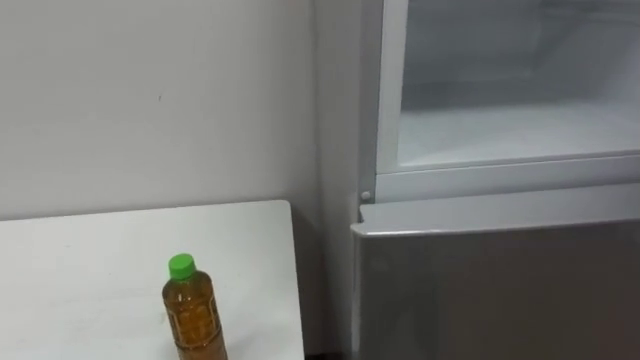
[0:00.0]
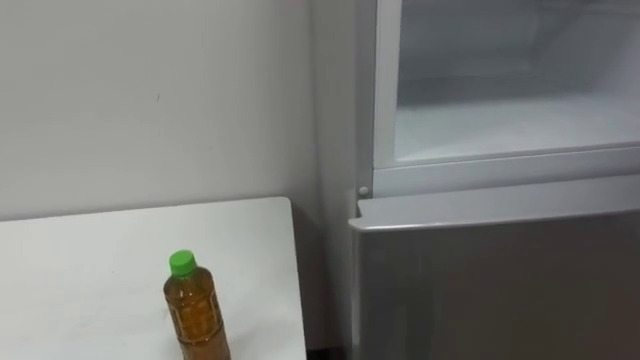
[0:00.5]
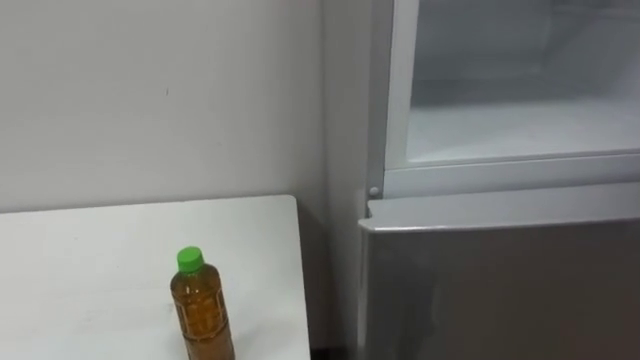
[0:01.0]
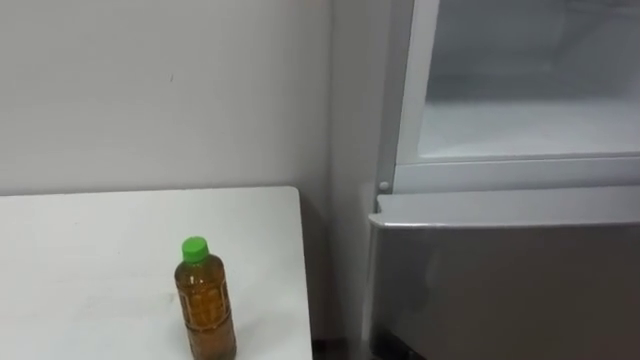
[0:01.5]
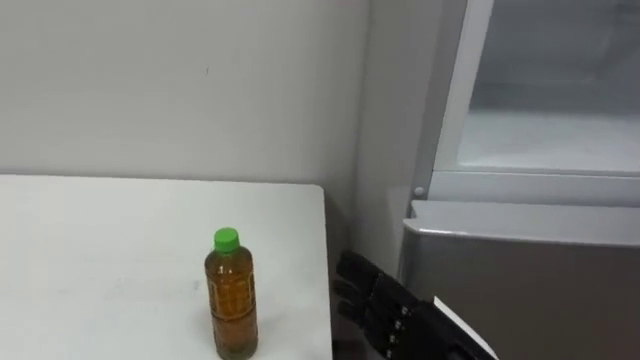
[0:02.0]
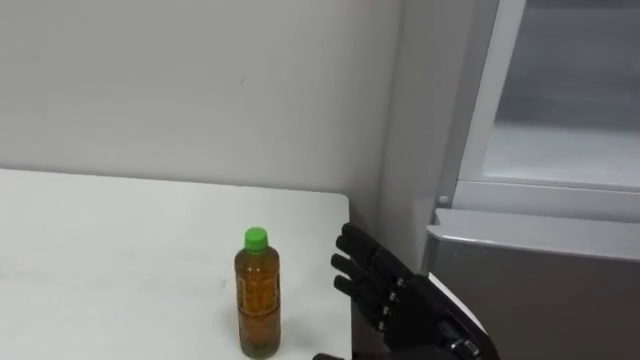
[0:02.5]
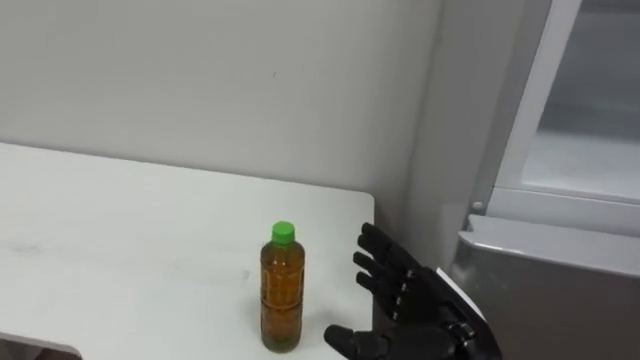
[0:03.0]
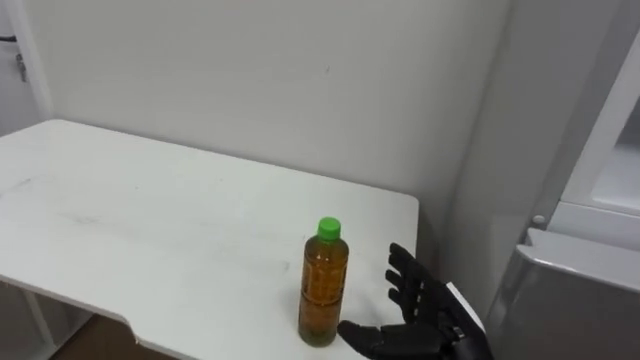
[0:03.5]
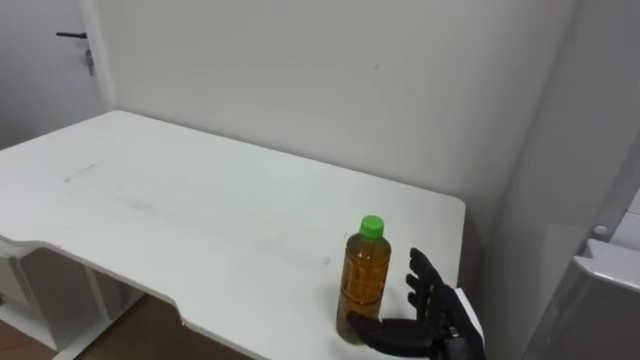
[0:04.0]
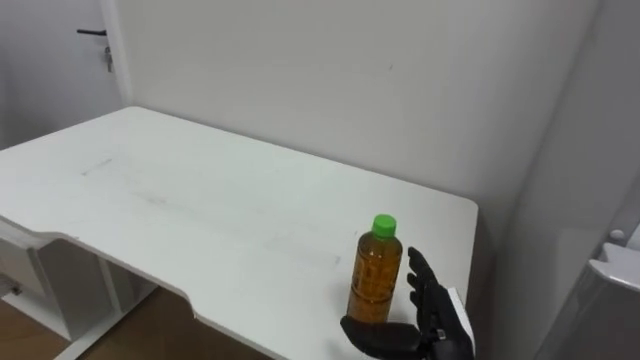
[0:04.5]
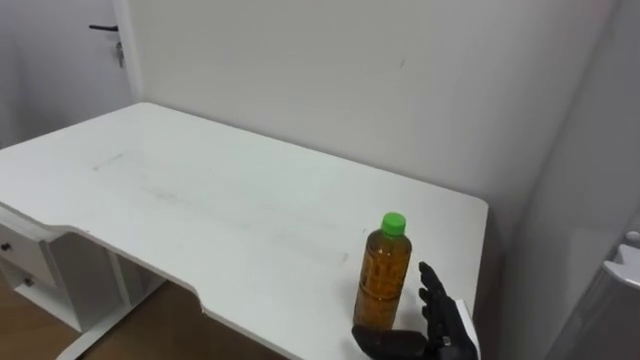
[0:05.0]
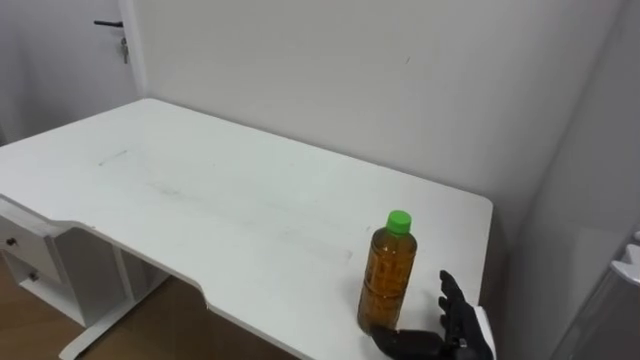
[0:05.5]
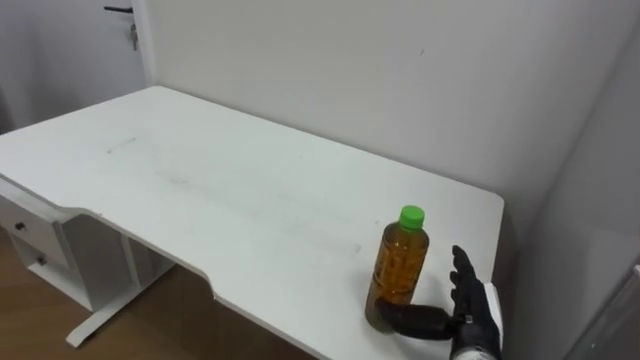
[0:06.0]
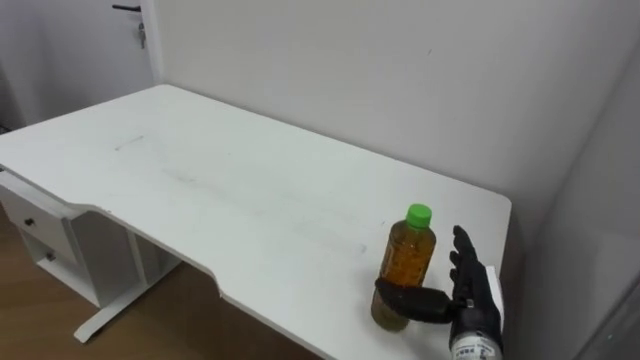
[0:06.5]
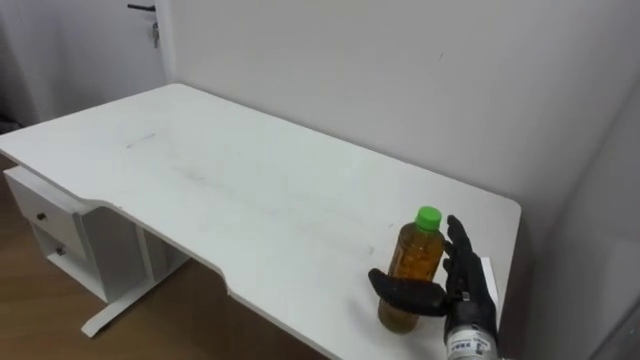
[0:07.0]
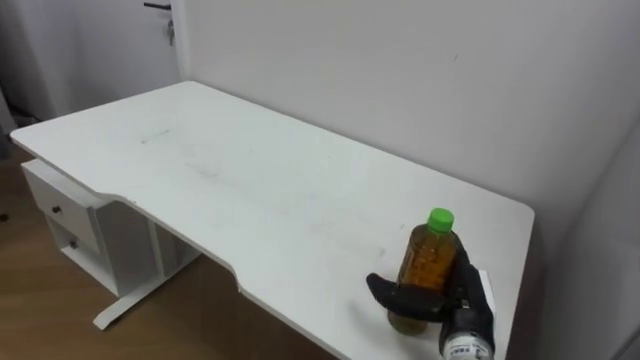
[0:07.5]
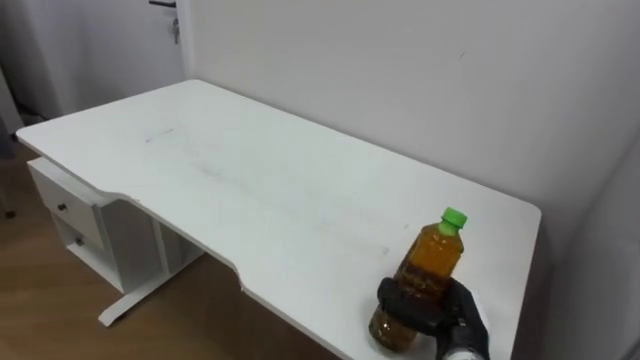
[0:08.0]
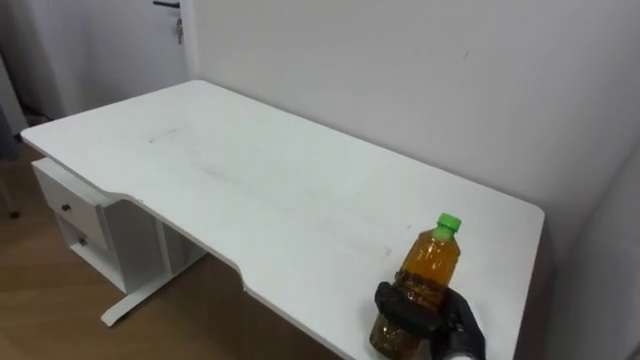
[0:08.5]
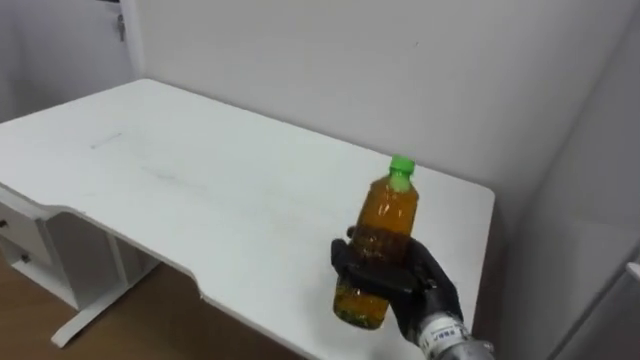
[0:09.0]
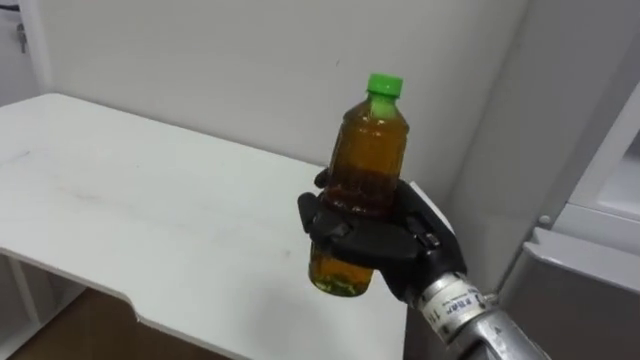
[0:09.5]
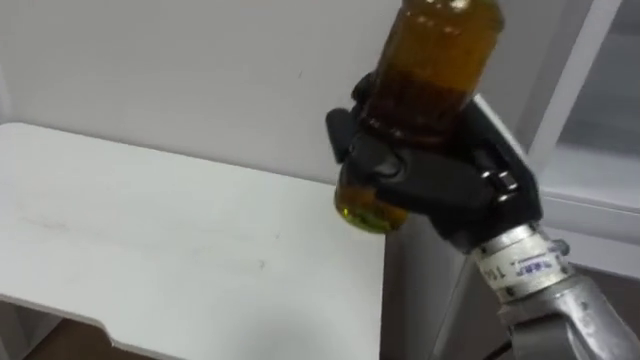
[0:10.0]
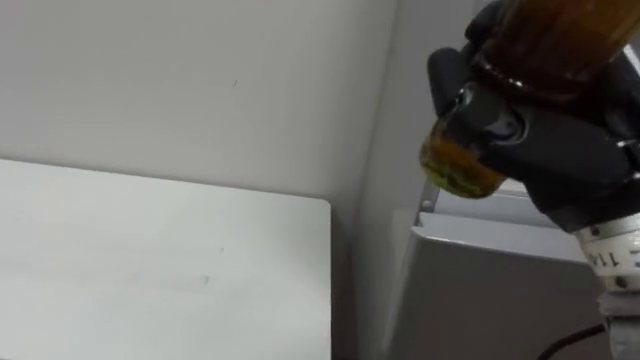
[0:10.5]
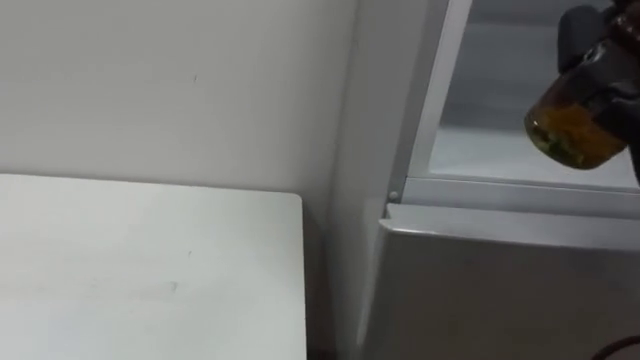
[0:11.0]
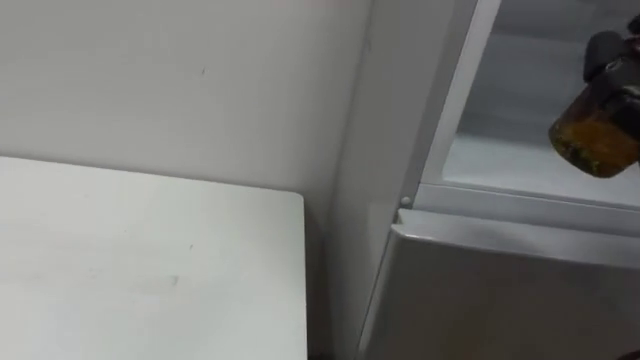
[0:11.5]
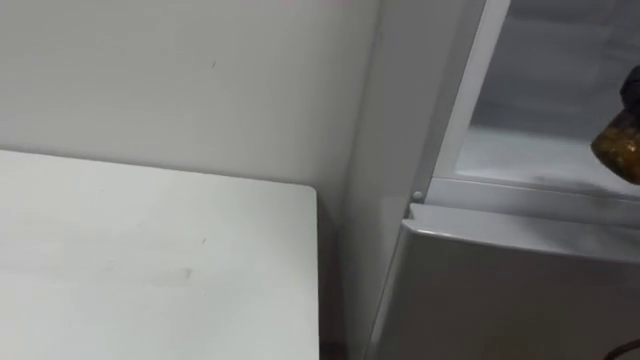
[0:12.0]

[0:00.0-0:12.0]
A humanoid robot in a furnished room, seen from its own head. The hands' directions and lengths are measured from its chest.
Task of the whole recording: Open the upper refrigerator door, put the drink from the table into the refrigerator, and then close the refrigerator door.
0:02.0 to 0:04.0: The right hand moves forward and downward, some 10 cm.
0:06.0 to 0:08.0: The right hand closes.
0:08.0 to 0:10.0: The right hand moves upward, roughly 25 cm.

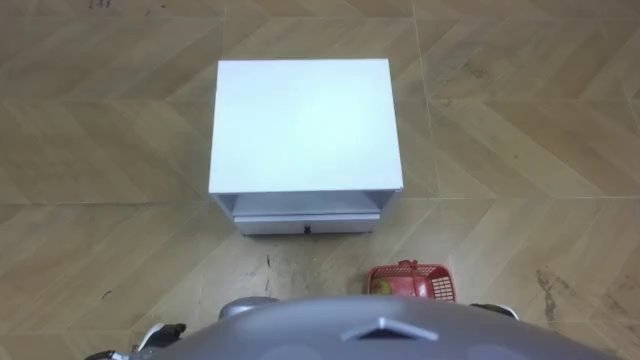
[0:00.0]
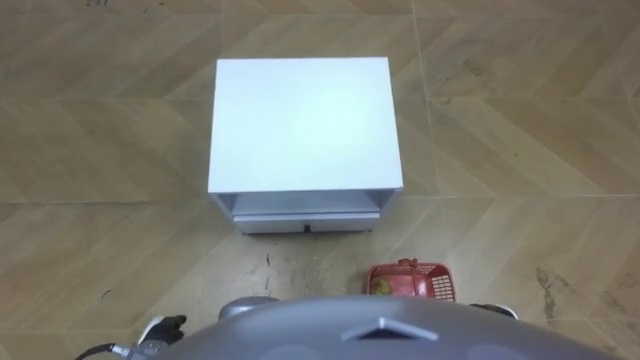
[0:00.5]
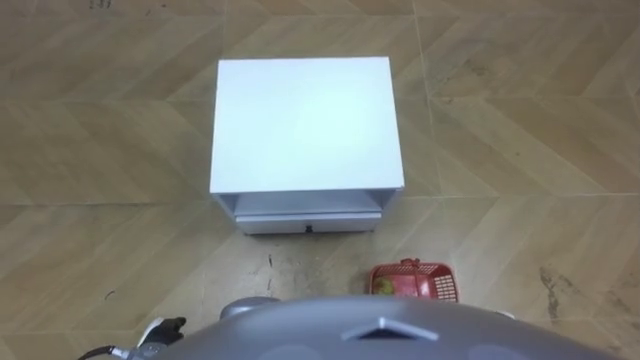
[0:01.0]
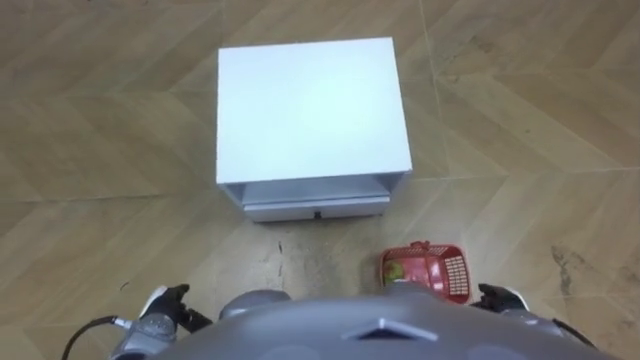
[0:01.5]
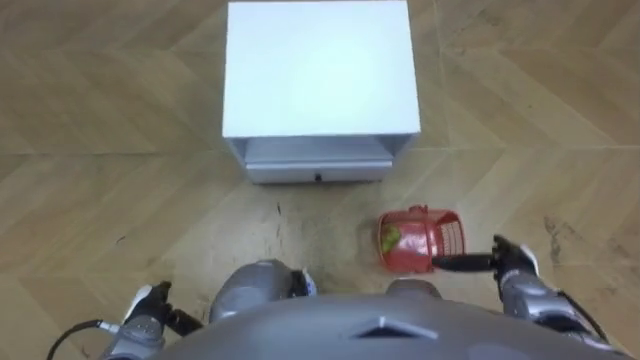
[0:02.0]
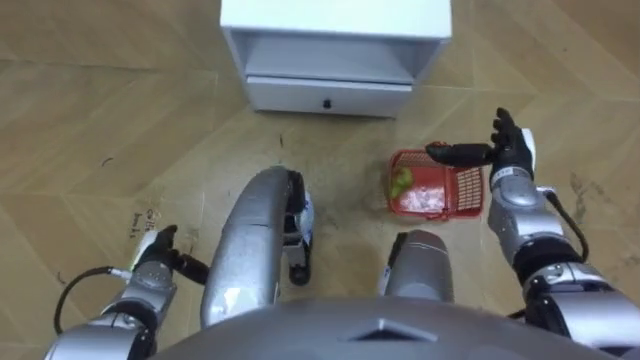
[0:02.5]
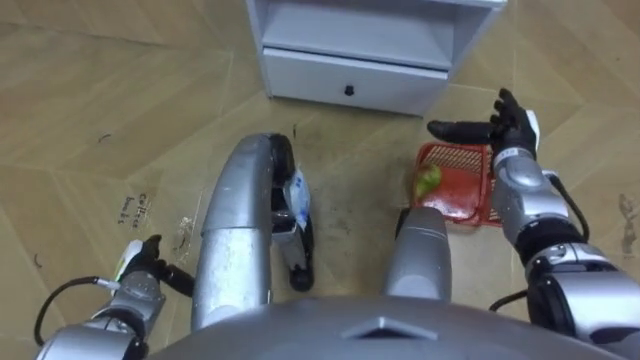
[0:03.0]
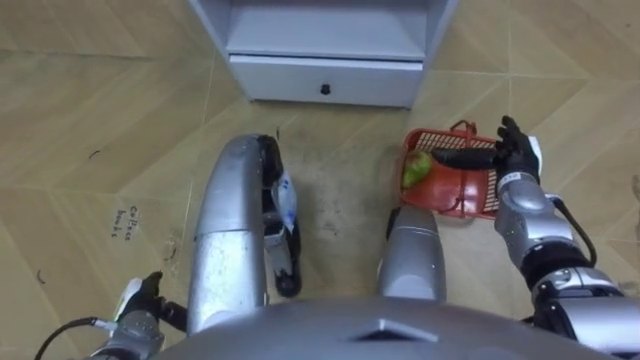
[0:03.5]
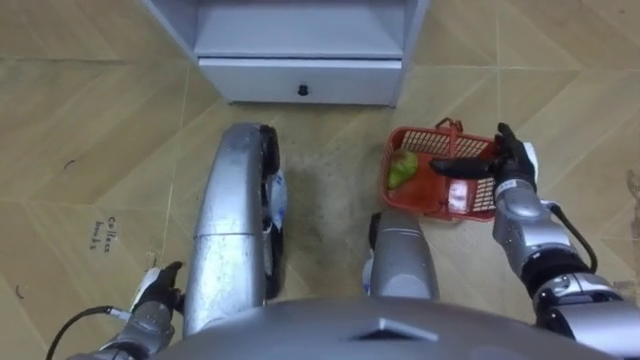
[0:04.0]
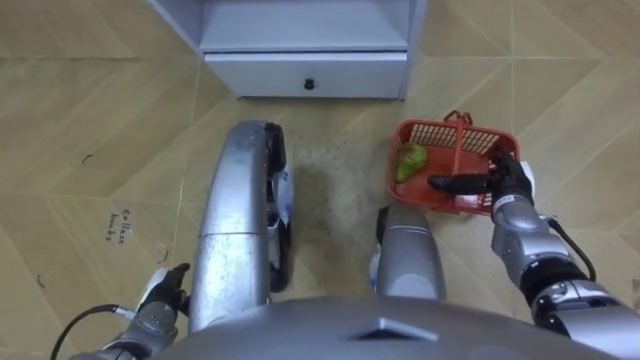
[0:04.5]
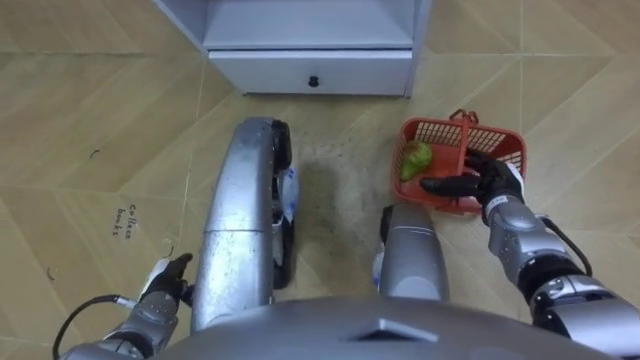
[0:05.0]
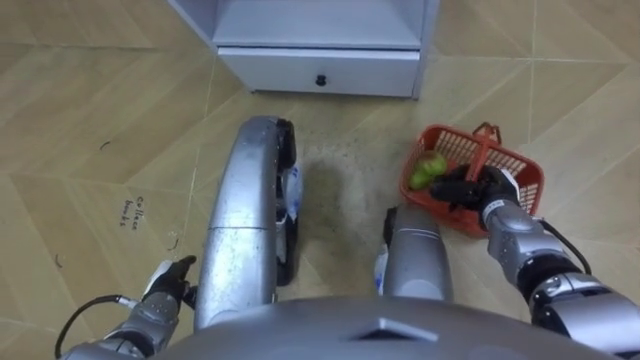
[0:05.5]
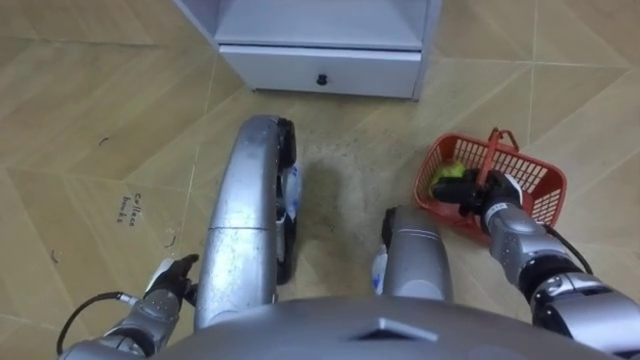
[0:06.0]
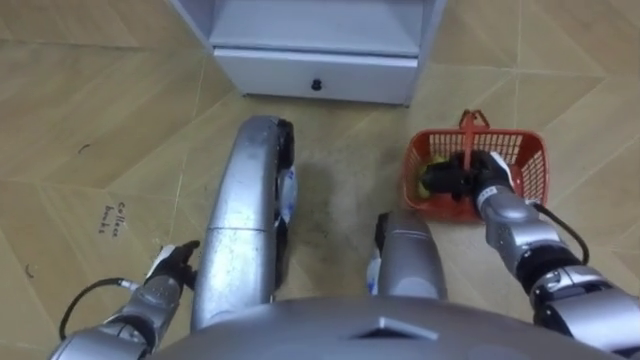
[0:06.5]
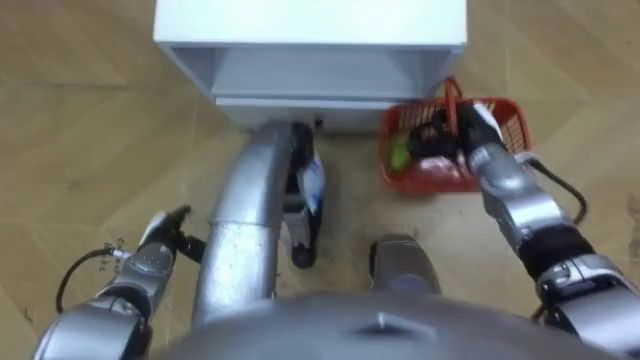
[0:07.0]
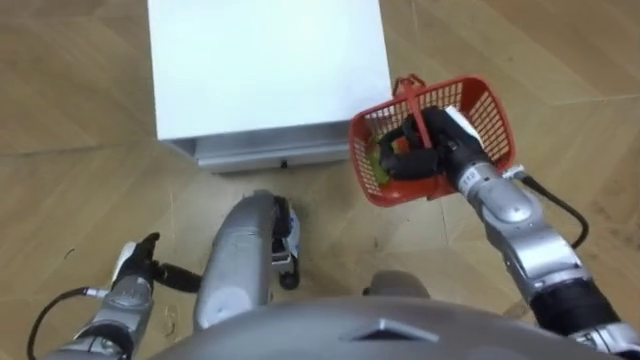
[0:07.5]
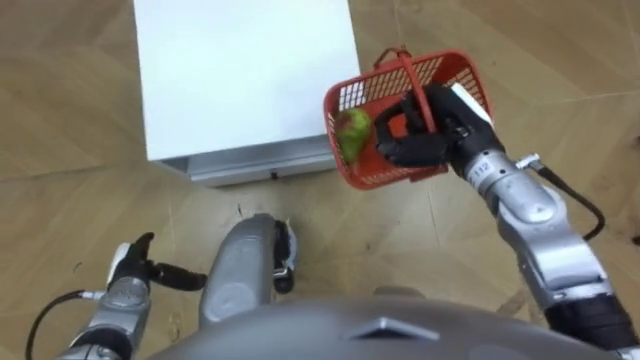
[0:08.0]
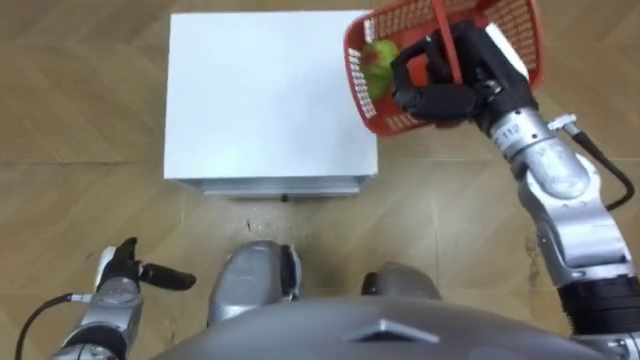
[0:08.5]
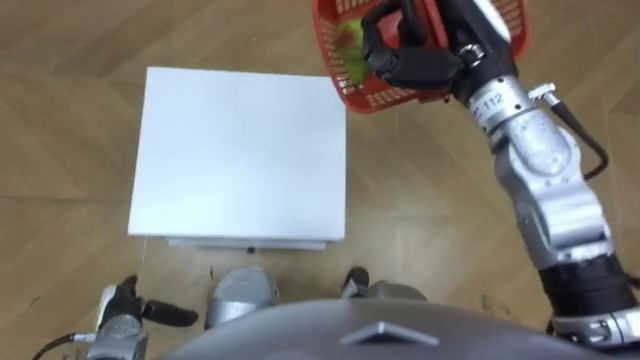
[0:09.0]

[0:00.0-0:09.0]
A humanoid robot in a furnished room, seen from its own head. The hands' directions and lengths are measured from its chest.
Task of the whole recording: Pick up the fruit basket from the floor and place it on the cabinet.
0:02.0 to 0:04.5: The left hand moves about 10 cm forward and comes back, while the right hand heads forward and upward, covering roughly 15 cm.
0:04.5 to 0:07.0: The left hand heads forward, covering approximately 10 cm, while the right hand moves forward, to the left and upward, approximately 10 cm, and closes.
0:07.0 to 0:09.0: The left hand moves backward and to the left, some 10 cm; the right hand goes roughly 20 cm upward.
